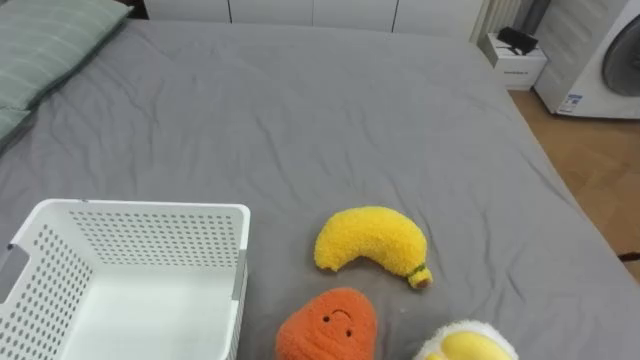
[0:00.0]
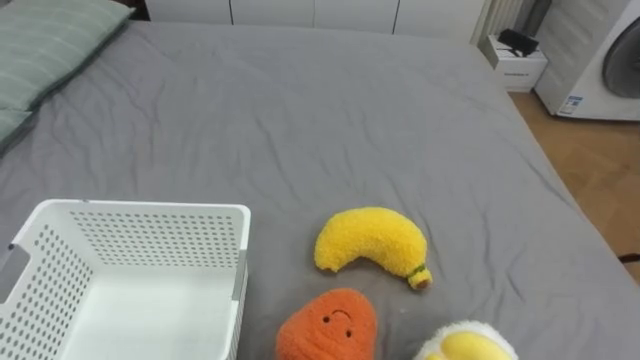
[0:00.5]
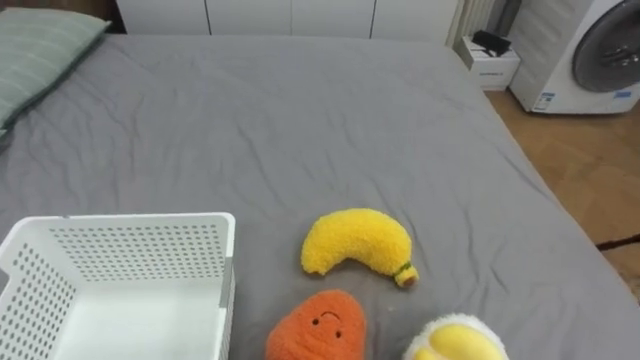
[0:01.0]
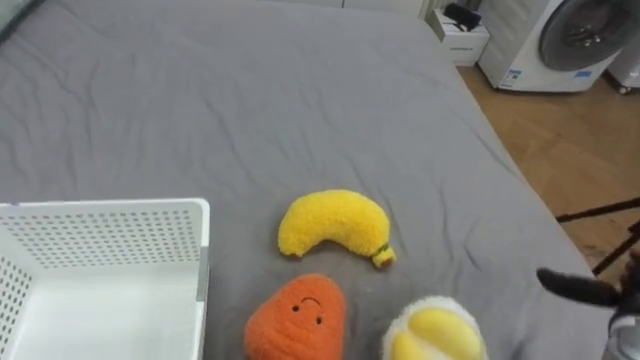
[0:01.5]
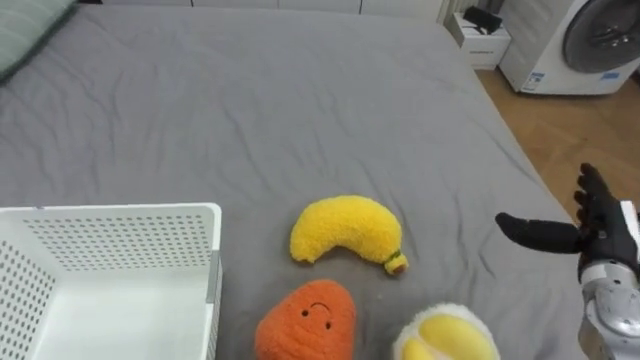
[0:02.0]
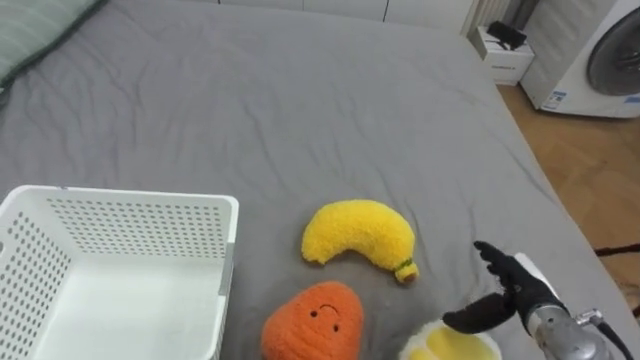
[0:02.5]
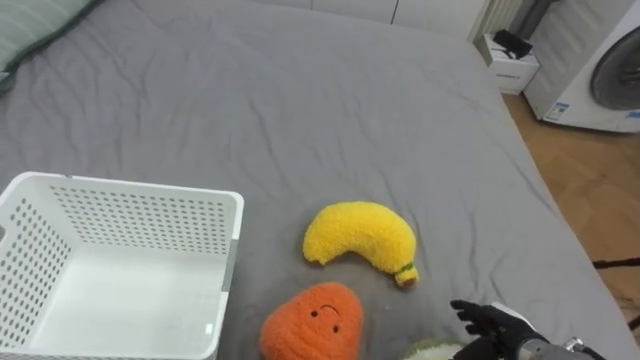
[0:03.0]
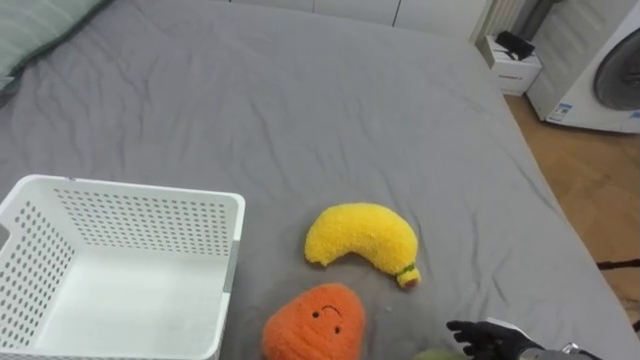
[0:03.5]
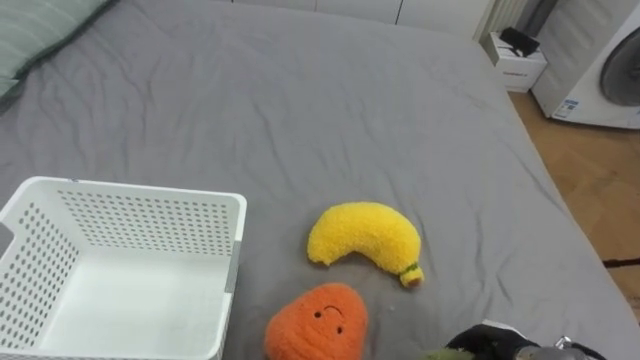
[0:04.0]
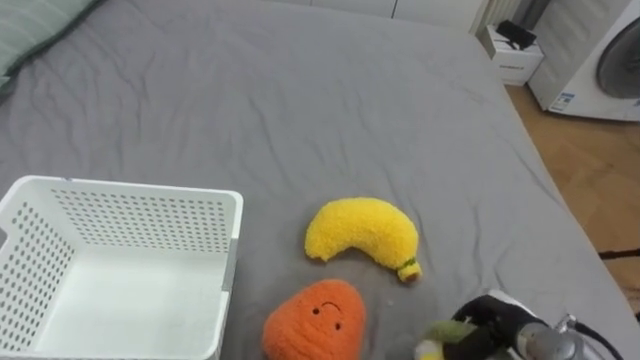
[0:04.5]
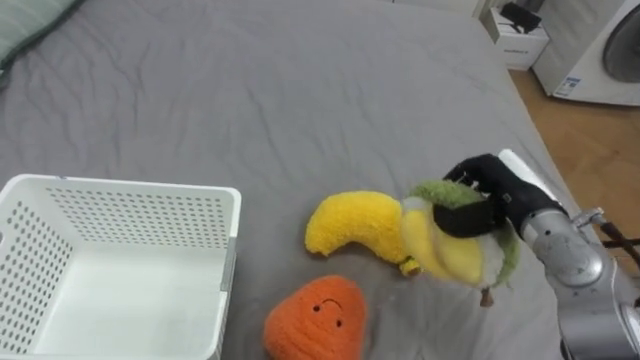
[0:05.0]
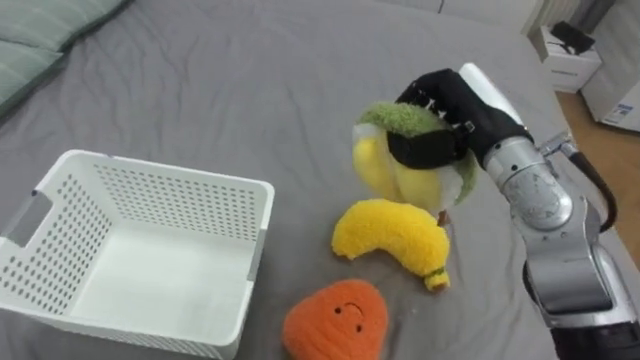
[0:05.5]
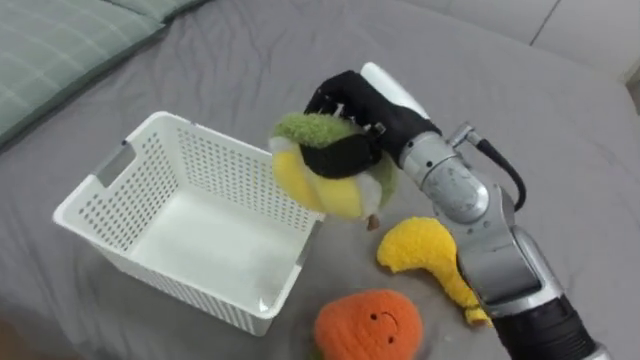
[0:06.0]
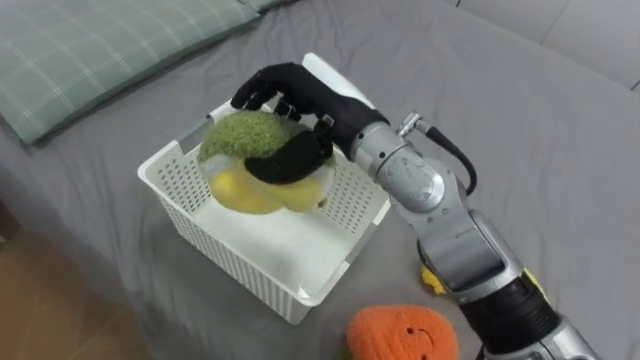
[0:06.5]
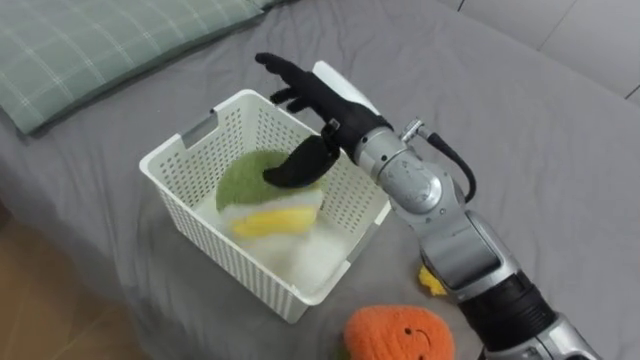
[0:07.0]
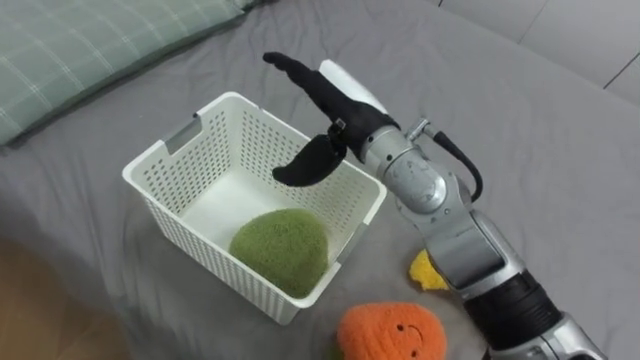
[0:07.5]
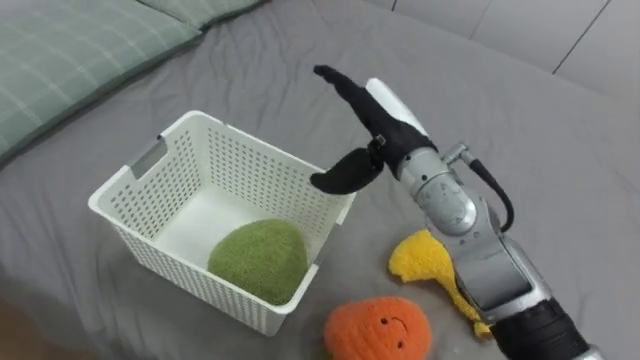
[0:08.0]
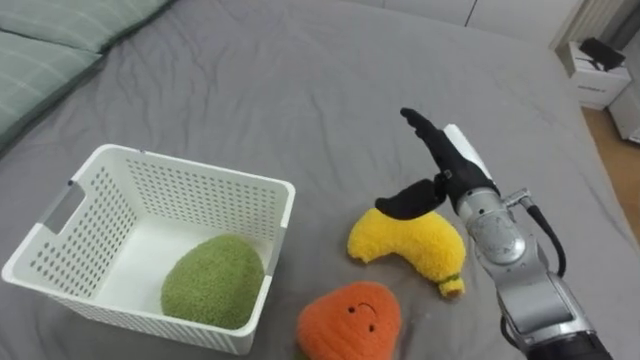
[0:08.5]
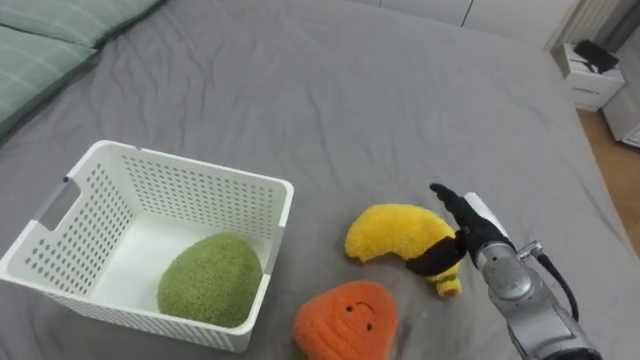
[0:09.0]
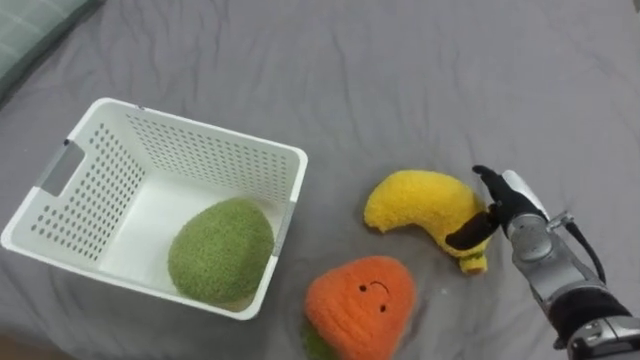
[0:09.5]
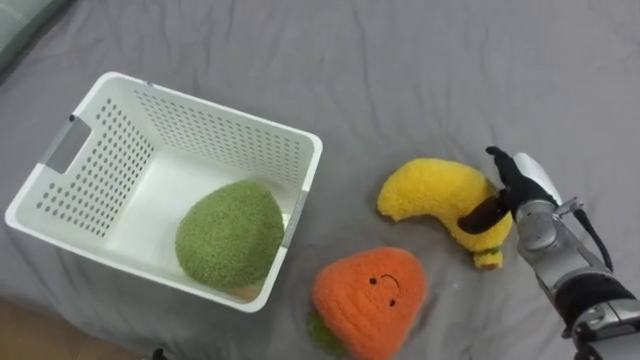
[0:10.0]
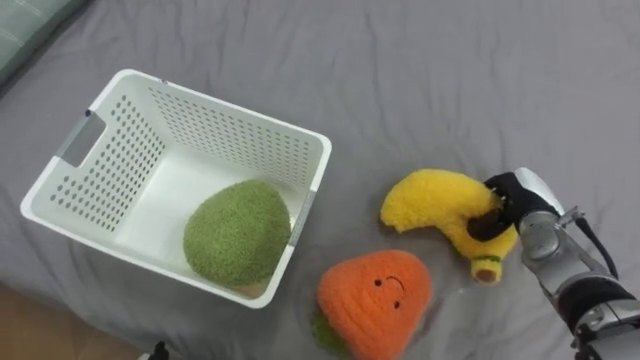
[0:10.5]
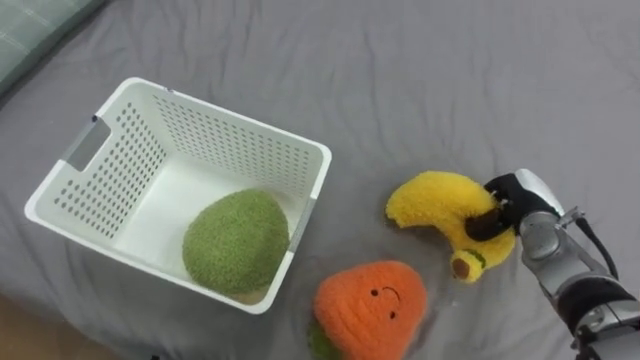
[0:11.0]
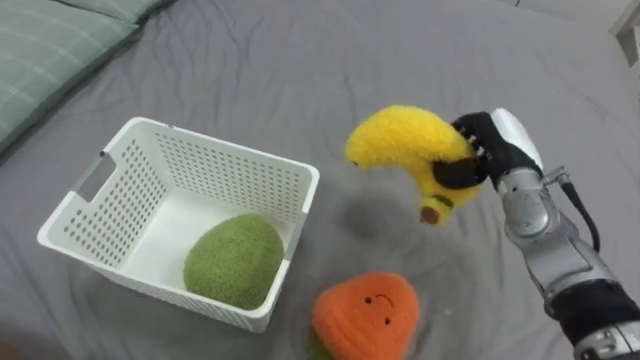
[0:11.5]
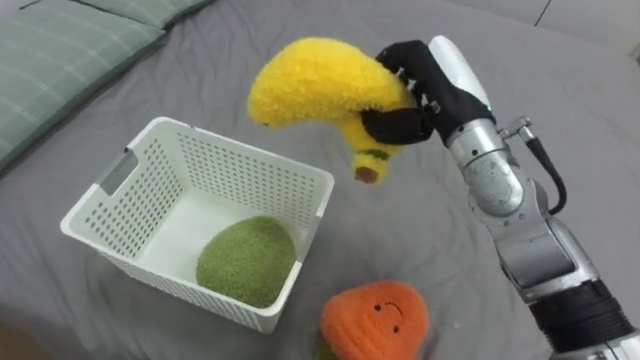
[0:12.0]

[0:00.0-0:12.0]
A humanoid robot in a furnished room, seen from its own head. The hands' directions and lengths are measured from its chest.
Task of the whole recording: Put the toys on the bed into the basket on the left.
0:02.0 to 0:04.0: The right hand moves downward, to the left and backward, some 20 cm, and closes up.
0:04.0 to 0:06.0: The right hand moves upward, to the left and forward, some 40 cm.
0:06.0 to 0:08.0: The right hand opens.
0:08.0 to 0:10.0: The right hand goes approximately 25 cm to the right and downward.
0:10.0 to 0:12.0: The right hand moves upward and to the left, about 20 cm, and closes its fingers.

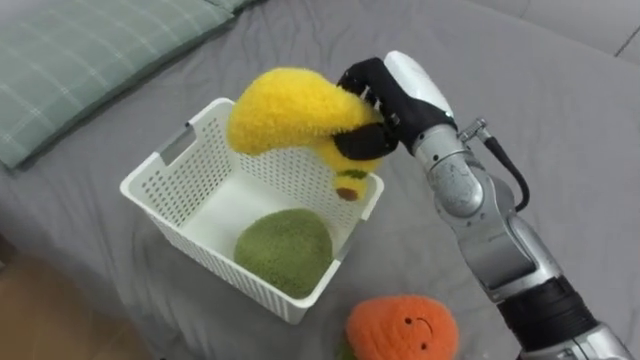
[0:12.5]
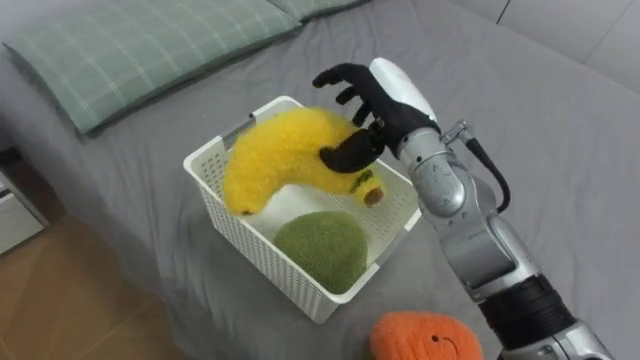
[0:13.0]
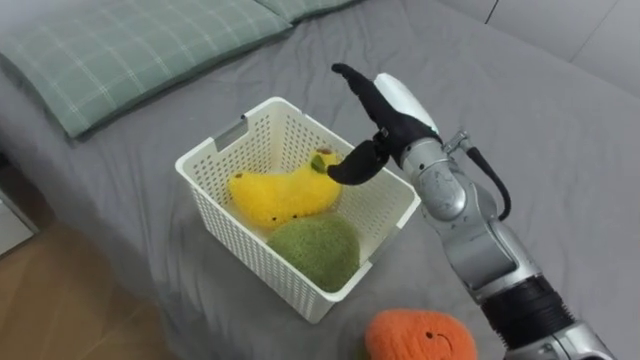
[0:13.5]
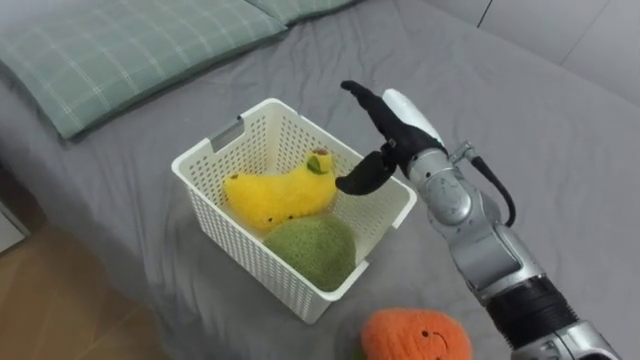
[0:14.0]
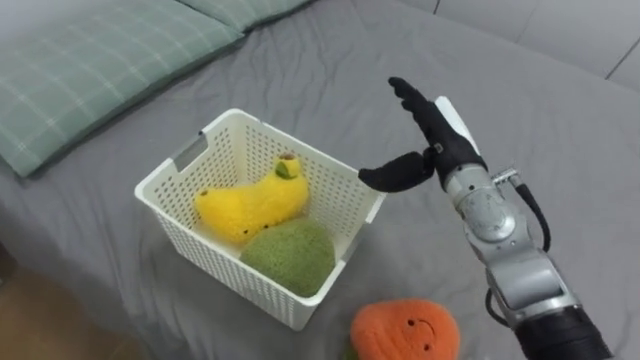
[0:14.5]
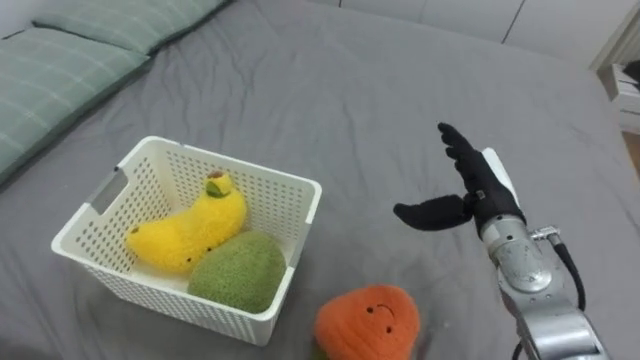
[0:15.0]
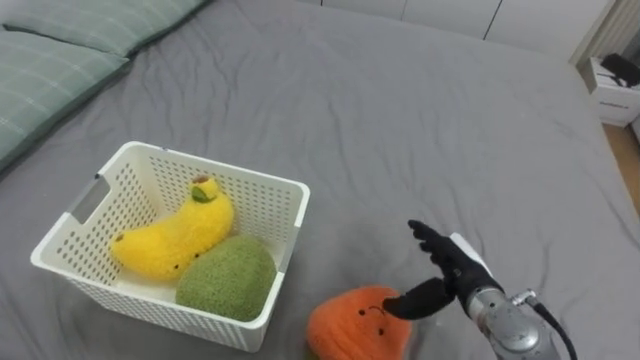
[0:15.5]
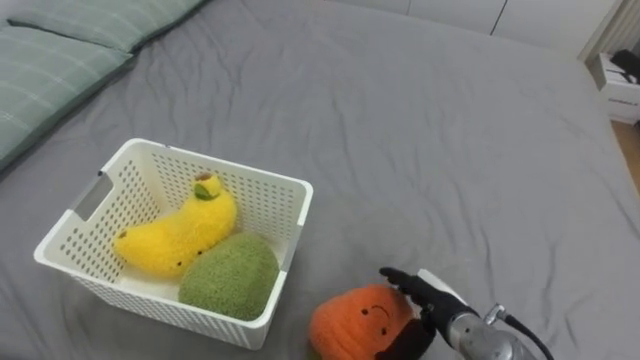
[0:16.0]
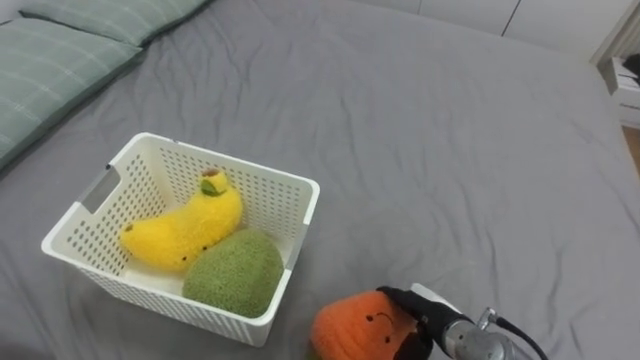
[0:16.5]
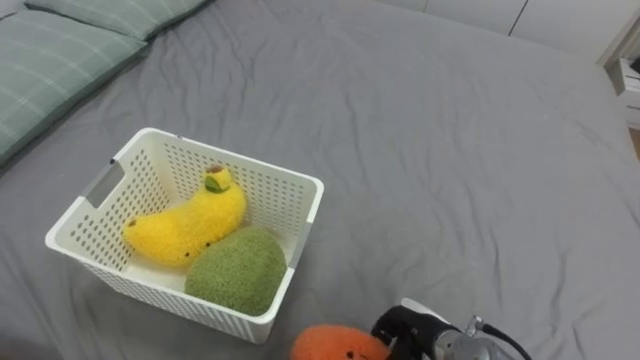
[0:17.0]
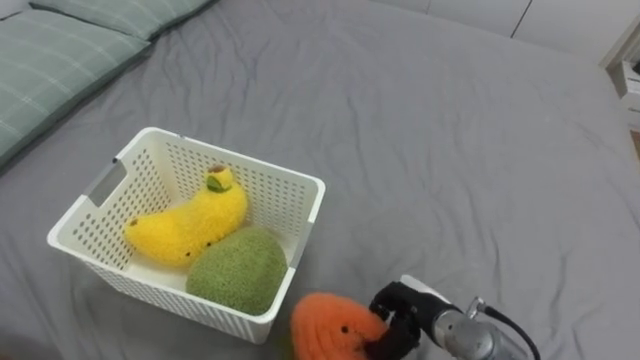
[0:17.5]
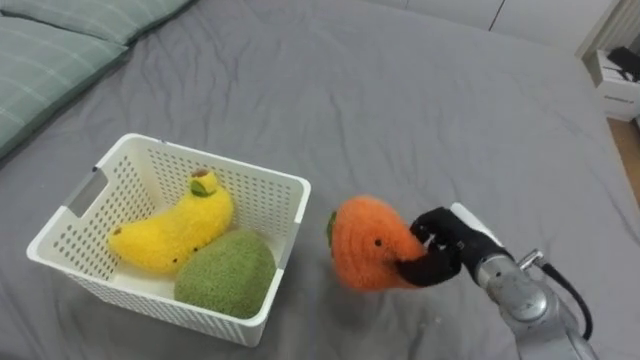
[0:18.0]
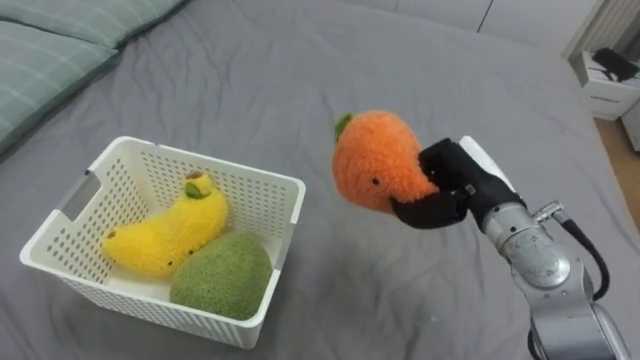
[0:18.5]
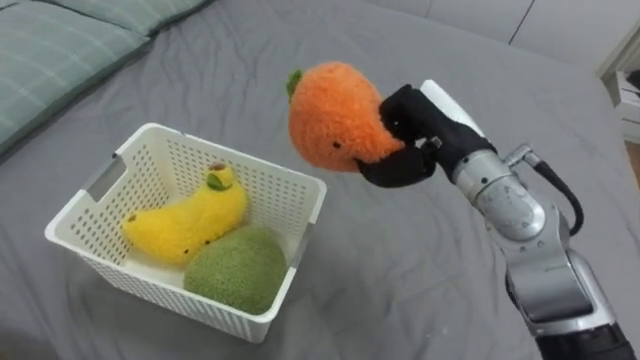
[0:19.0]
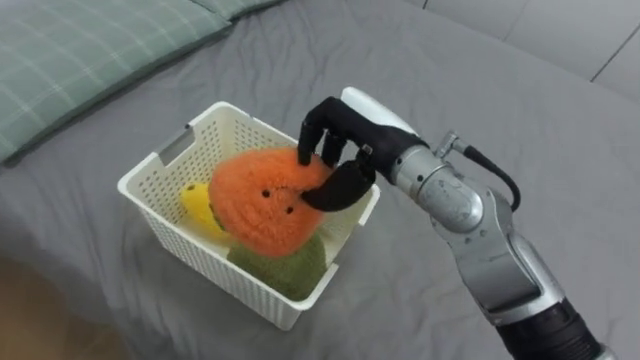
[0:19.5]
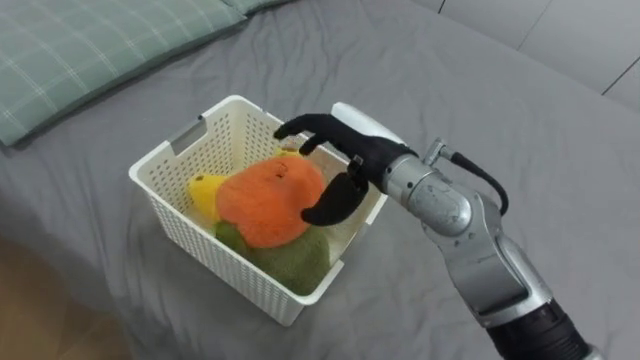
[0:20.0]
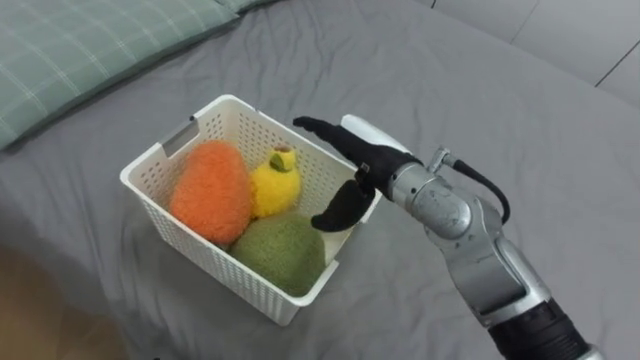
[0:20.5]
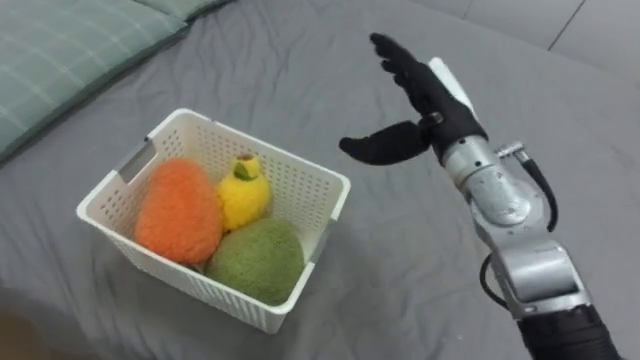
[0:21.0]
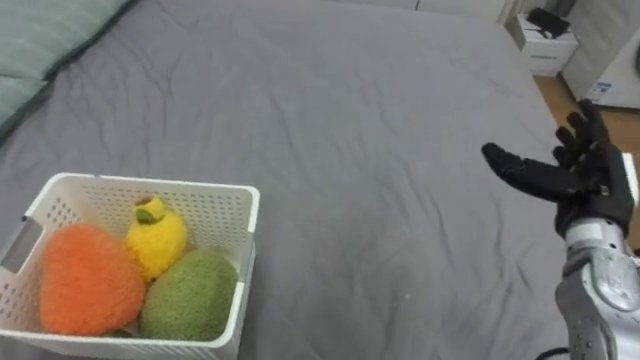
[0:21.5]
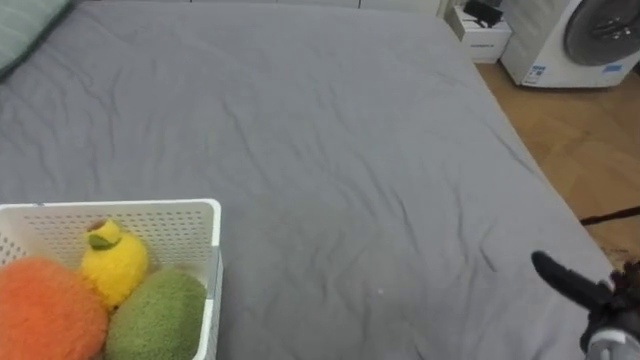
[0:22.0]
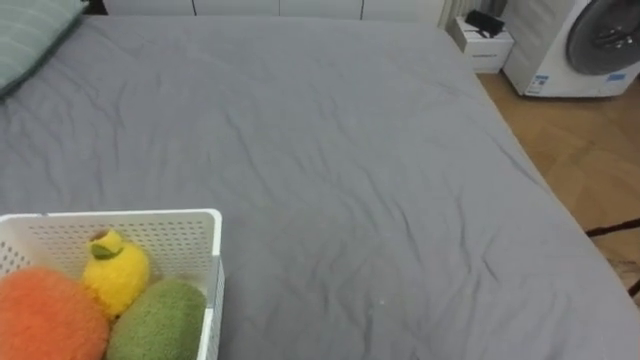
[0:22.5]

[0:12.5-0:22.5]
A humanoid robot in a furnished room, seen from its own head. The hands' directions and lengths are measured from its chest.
Task of the whole recording: Put the toys on the bed into the basket on the left.
0:12.5 to 0:14.5: The right hand shifts approximately 10 cm downward and to the right, and opens its fingers.
0:14.5 to 0:16.5: The right hand goes roughly 25 cm downward and backward.
0:16.5 to 0:18.5: The right hand shifts roughly 20 cm upward and forward, and closes up.
0:18.5 to 0:20.5: The right hand moves to the left, about 15 cm, and opens.
